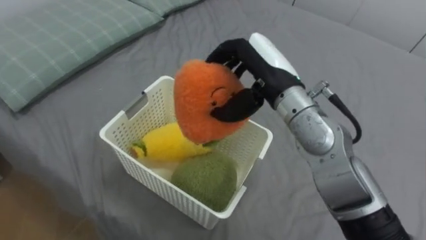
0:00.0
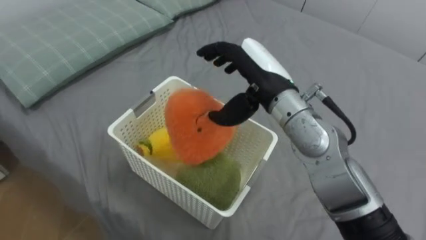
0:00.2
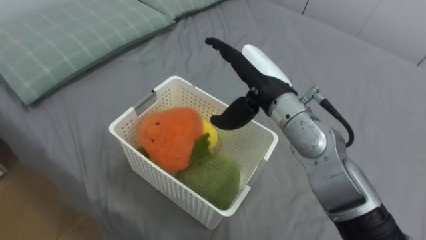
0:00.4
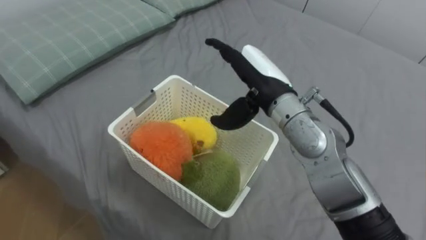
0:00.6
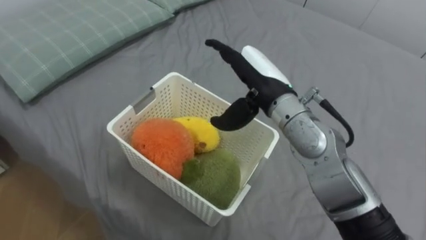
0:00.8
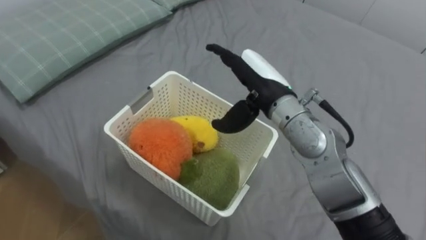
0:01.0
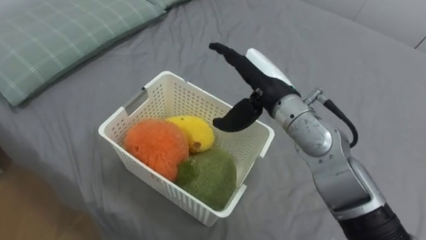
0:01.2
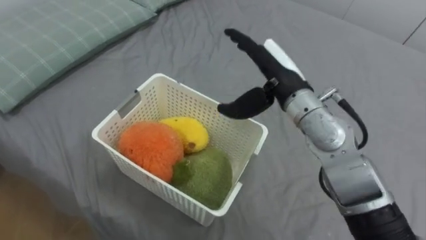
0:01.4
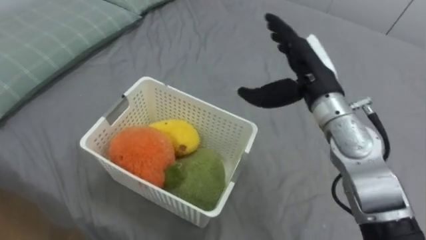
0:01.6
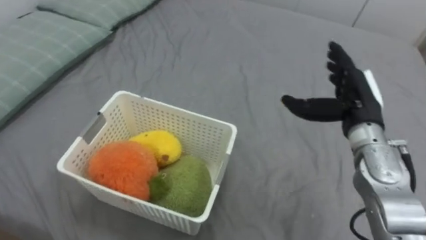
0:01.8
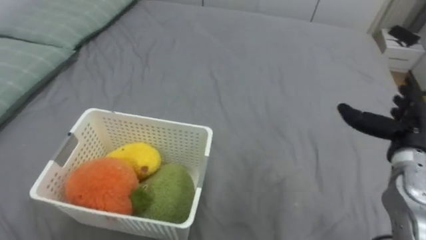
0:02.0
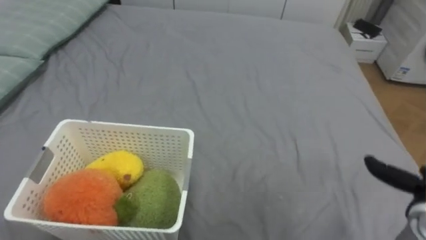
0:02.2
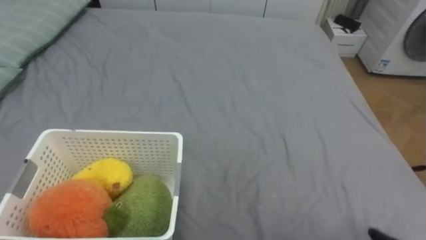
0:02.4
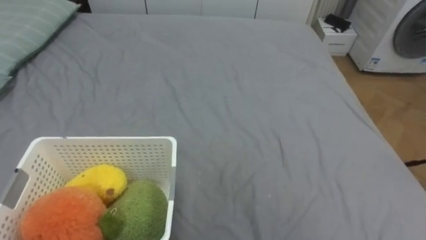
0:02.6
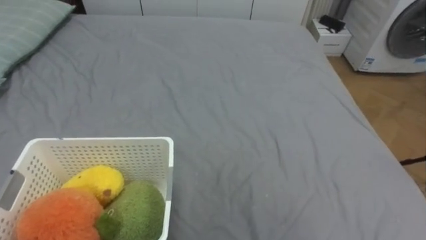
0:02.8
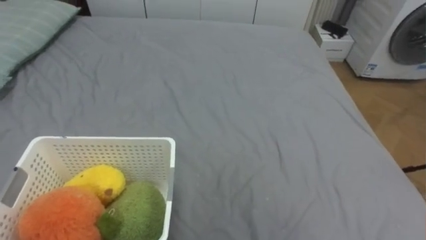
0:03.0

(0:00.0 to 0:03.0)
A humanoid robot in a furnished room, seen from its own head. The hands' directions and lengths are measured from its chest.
Task of the whole recording: Put the toys on the bed into the basket on the left.
0:00.0 - 0:01.6: The right hand shifts about 5 cm to the right, and opens up.

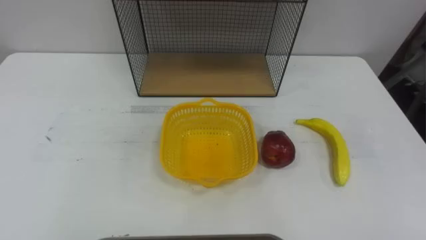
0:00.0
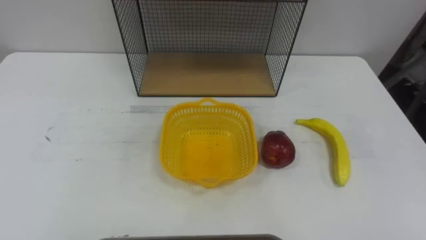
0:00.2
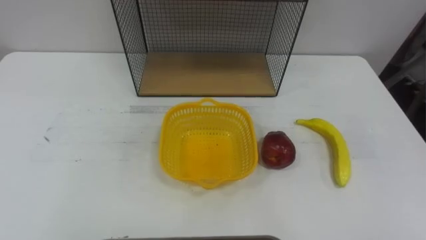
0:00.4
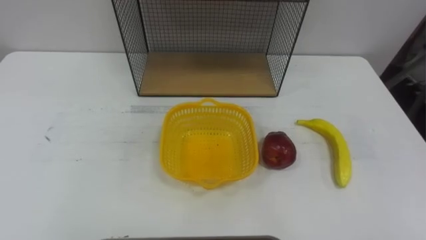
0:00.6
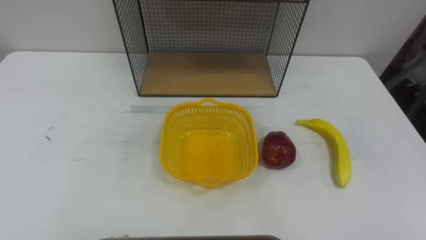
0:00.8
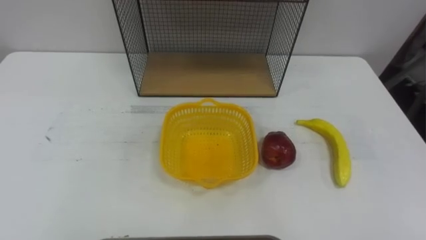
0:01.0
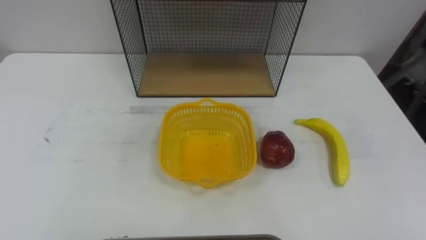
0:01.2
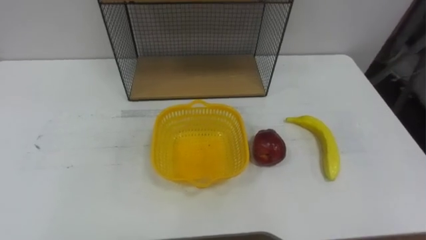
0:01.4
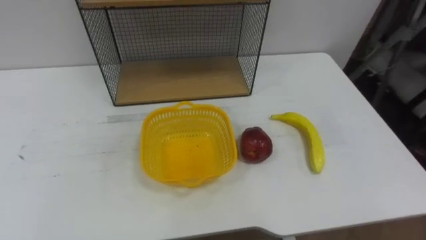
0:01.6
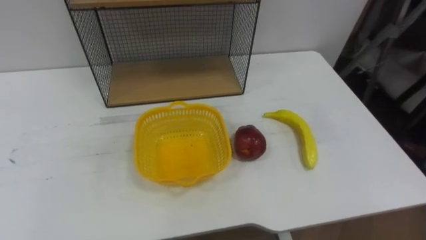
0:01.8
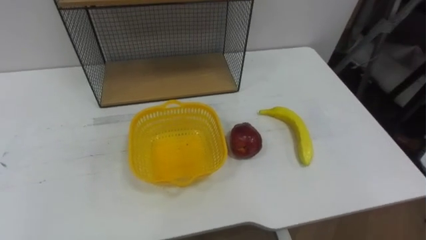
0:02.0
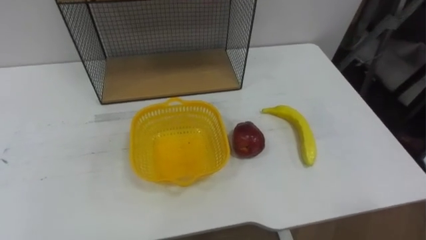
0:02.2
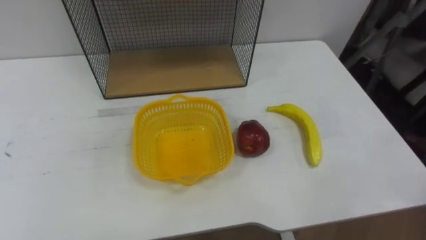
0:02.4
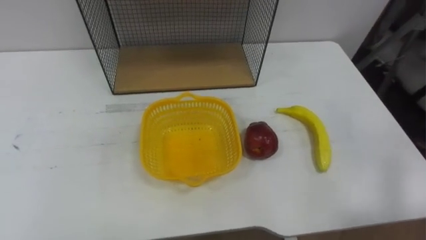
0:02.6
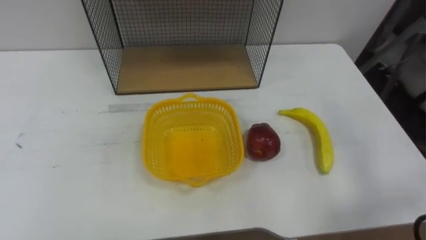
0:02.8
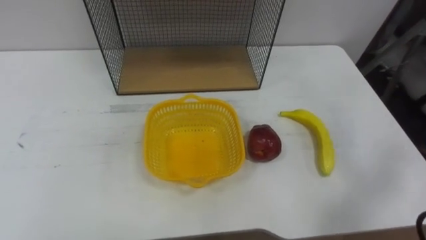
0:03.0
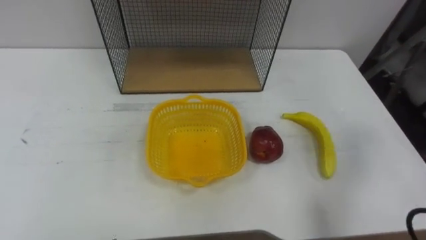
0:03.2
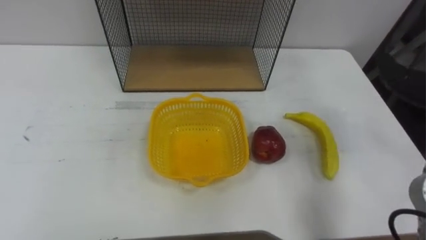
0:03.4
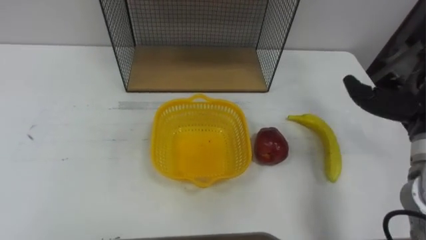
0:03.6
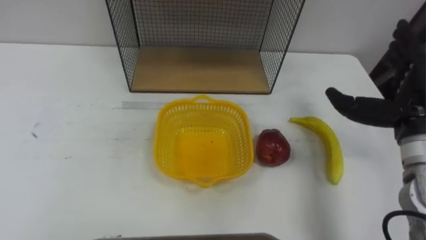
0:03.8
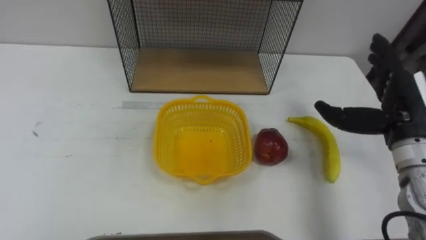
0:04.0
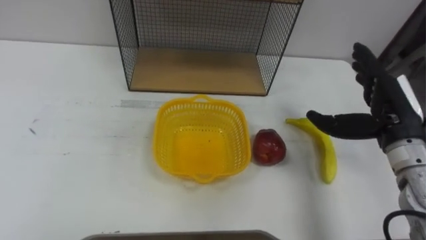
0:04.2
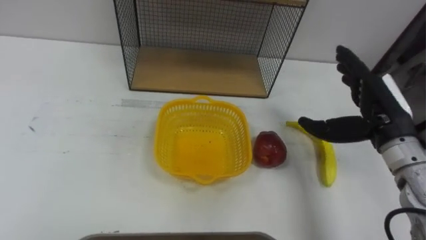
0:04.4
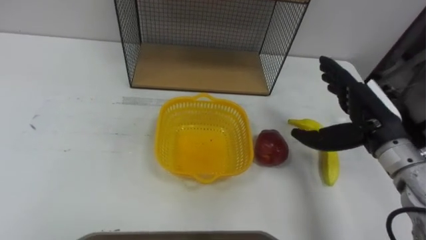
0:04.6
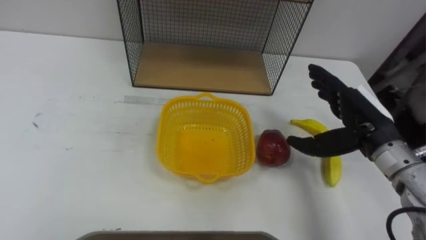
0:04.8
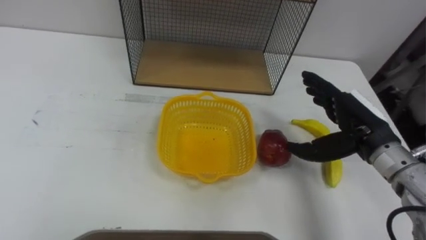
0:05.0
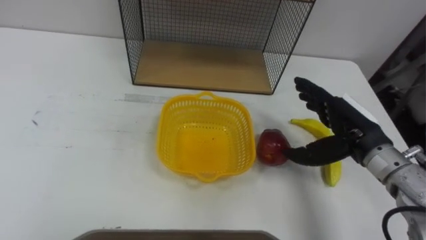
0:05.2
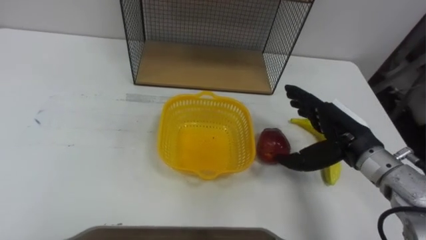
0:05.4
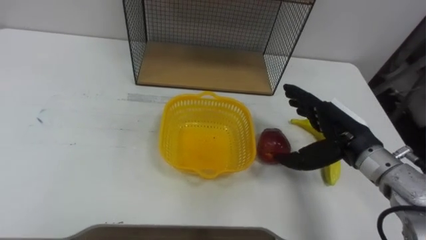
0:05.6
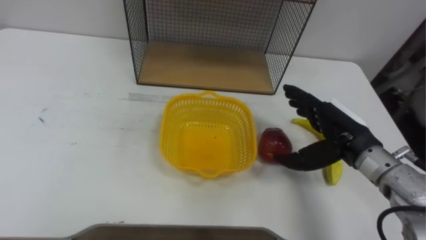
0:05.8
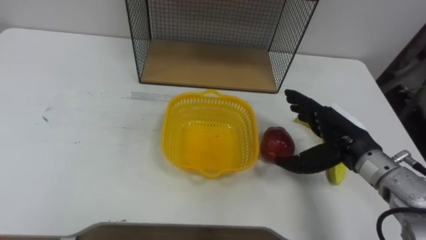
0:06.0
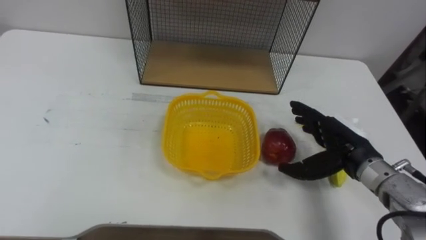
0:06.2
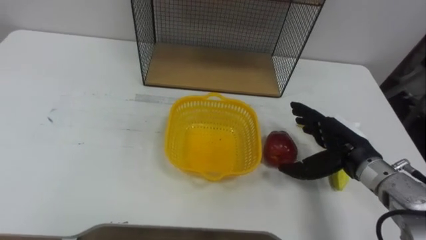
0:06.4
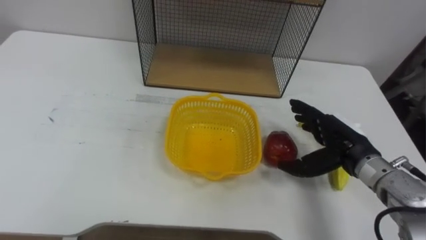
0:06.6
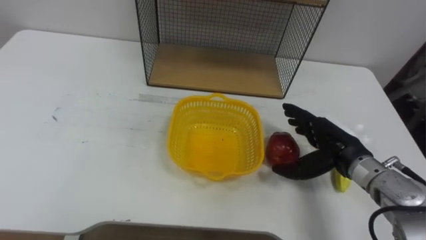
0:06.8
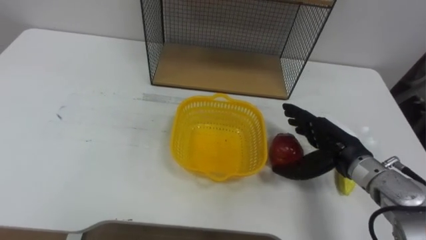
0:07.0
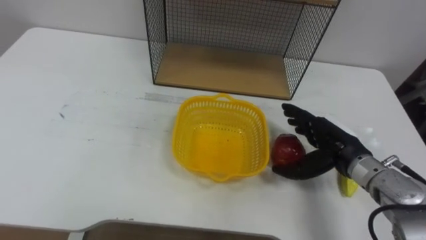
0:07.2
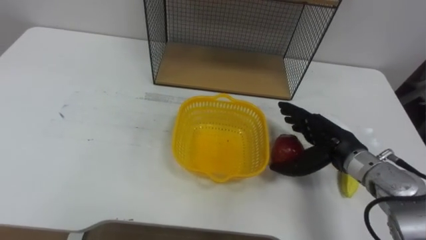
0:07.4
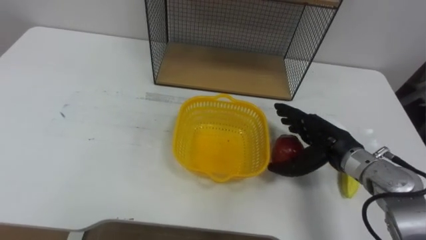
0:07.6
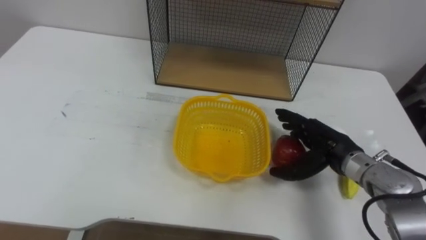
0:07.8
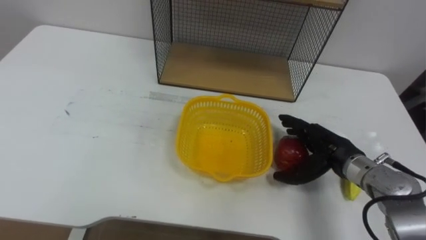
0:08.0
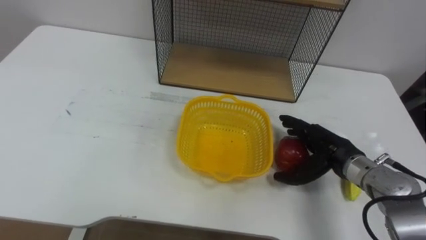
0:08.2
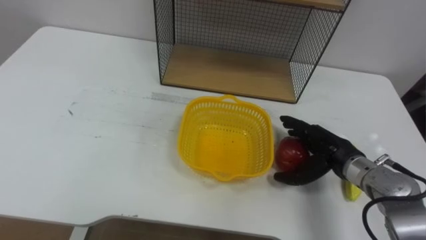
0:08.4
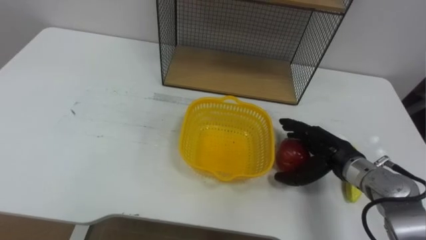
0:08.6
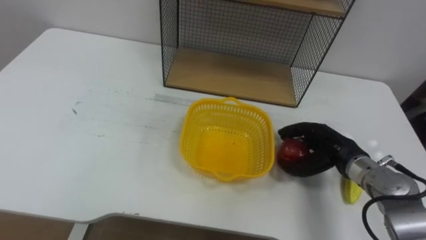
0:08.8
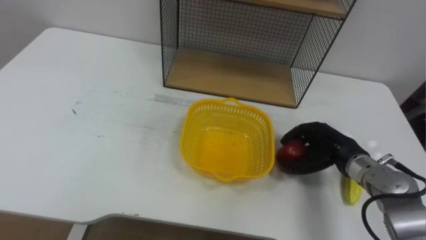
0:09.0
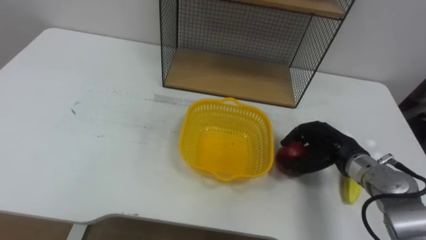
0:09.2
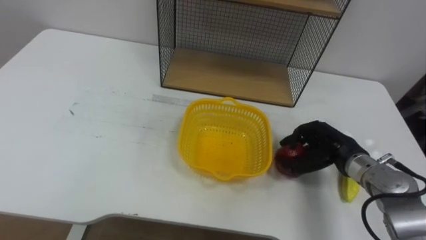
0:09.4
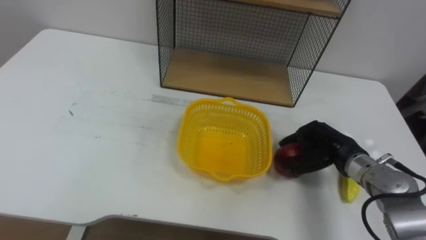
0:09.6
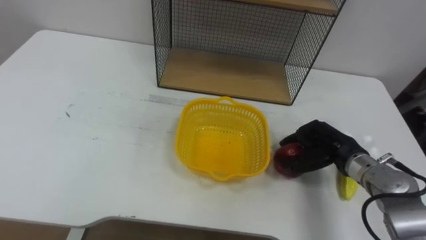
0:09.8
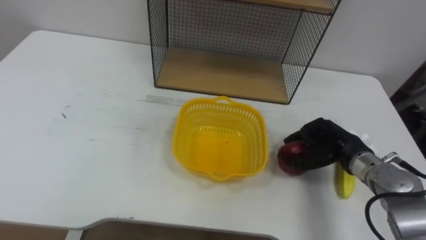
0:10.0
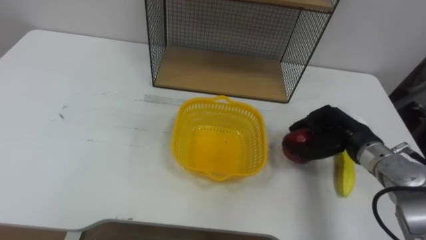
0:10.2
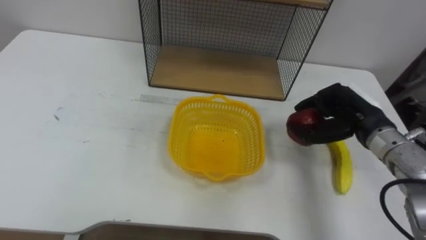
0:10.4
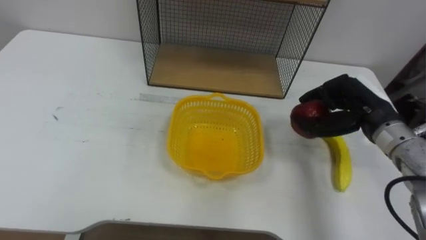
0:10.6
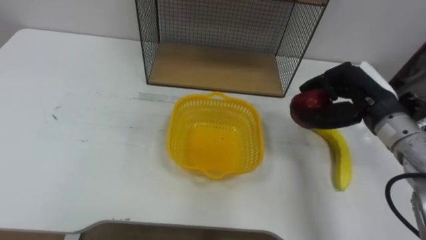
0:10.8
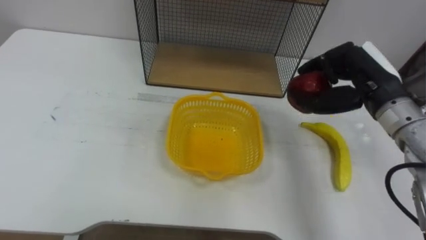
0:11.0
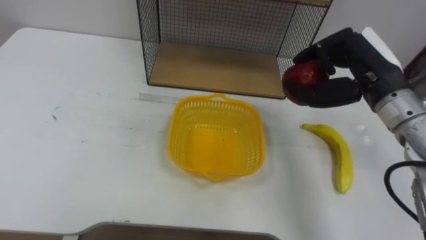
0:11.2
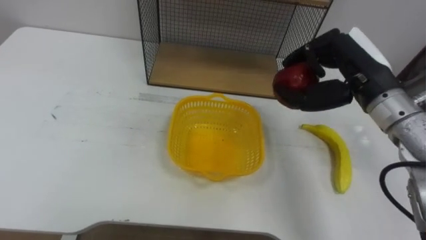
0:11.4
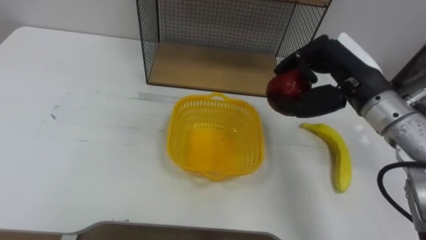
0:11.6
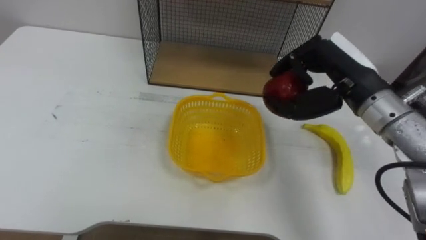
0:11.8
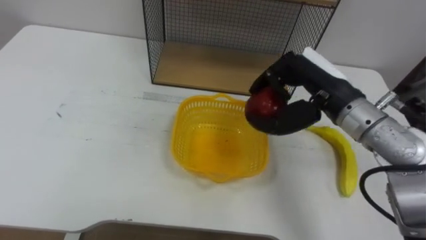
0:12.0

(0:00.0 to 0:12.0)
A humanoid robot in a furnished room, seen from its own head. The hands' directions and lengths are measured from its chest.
Task of the whole recording: Put the fruit on the table into the basket, then place the basket on the shelf.
0:04.4 - 0:06.0: The right hand ends up approximately 5 cm from where it was.
0:07.6 - 0:09.0: The right hand closes.
0:09.0 - 0:10.4: The right hand travels upward by some 10 cm.
0:10.4 - 0:12.0: The right hand is displaced to the left and upward by roughly 10 cm.

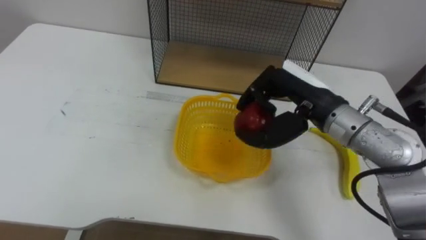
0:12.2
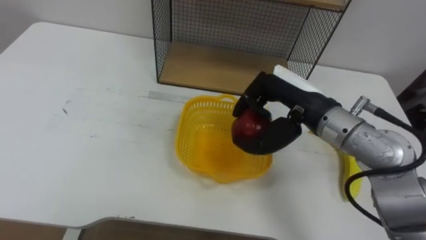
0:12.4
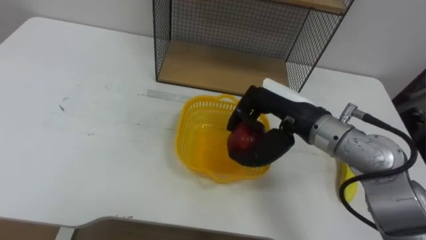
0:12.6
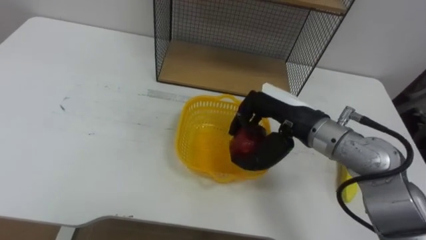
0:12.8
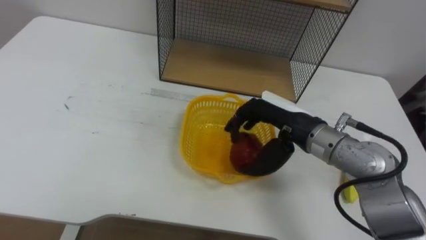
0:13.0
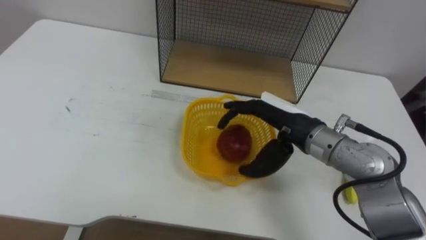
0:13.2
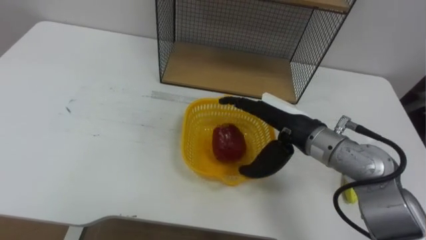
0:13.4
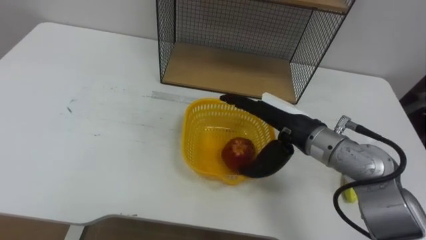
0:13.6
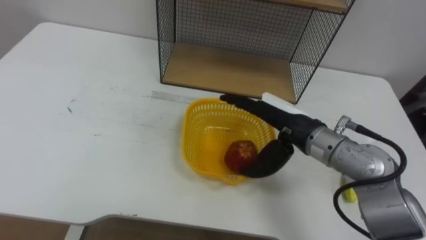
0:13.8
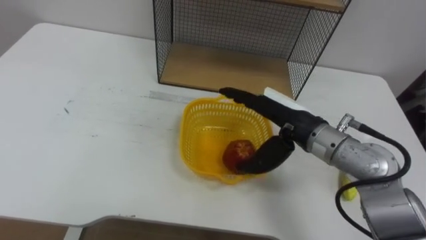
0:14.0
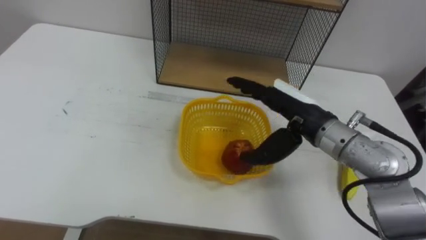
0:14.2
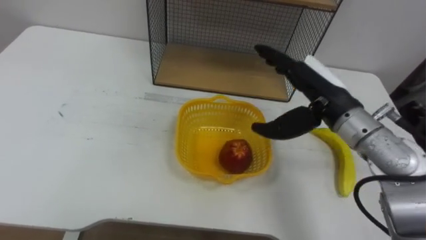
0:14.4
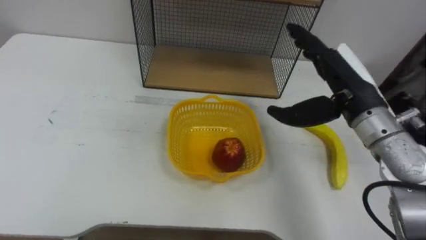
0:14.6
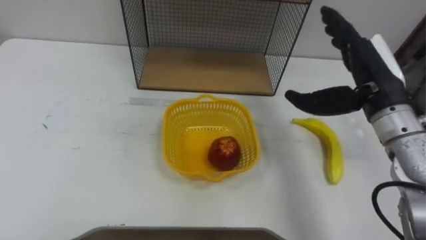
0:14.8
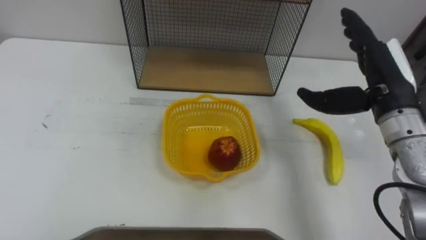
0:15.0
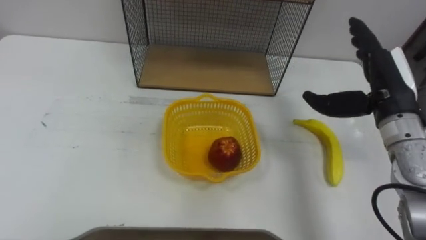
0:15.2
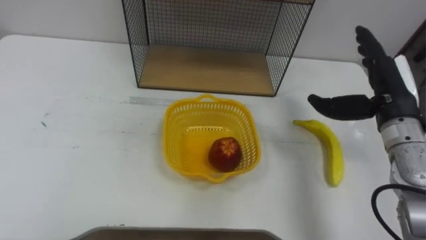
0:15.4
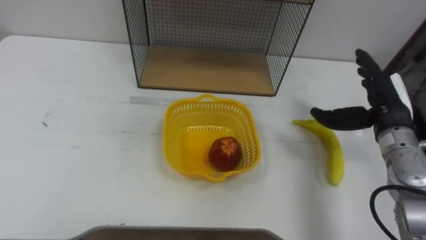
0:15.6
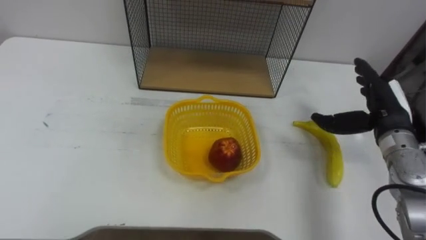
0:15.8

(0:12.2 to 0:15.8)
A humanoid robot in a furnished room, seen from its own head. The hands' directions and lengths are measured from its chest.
Task of the whole recording: Put the fruit on the table into the basket, then place the basket on the shelf.
0:12.2 - 0:14.0: The right hand opens up.
0:14.0 - 0:15.8: The right hand moves to the right, about 20 cm.
